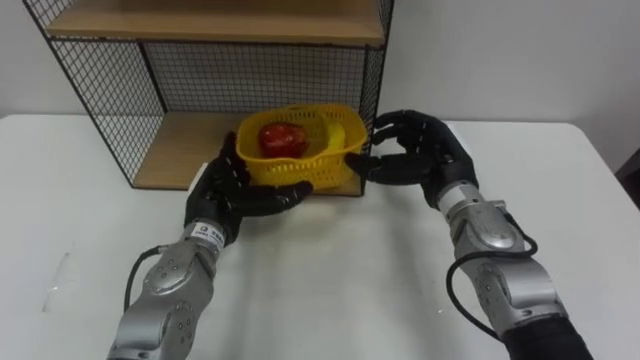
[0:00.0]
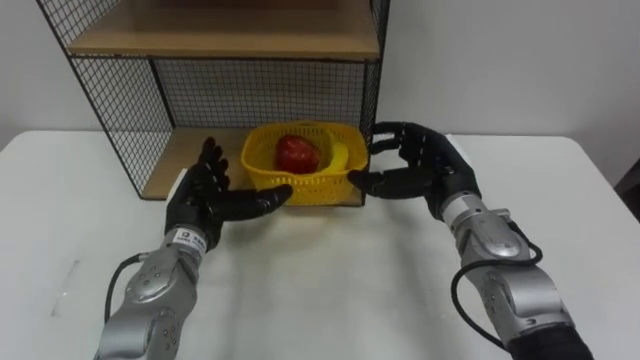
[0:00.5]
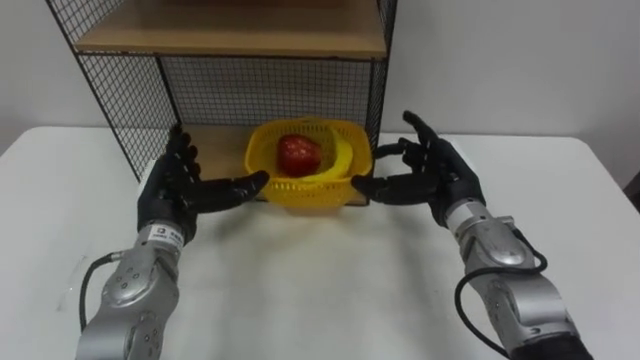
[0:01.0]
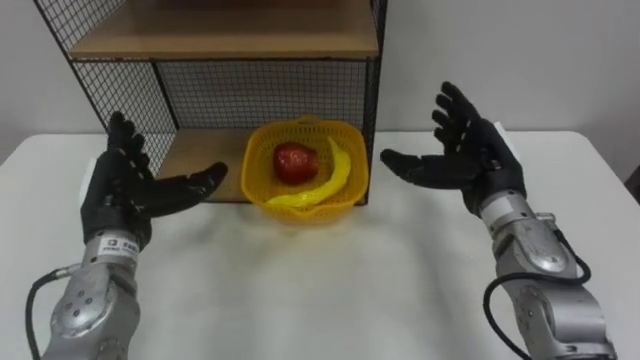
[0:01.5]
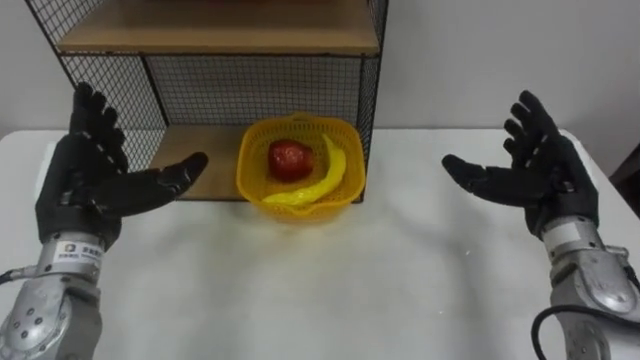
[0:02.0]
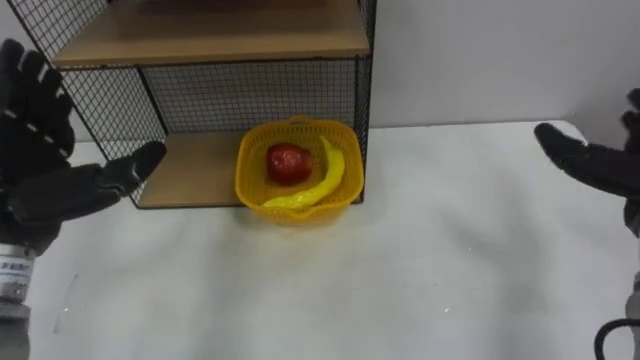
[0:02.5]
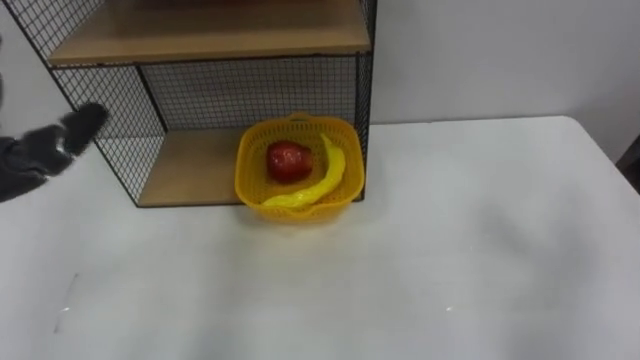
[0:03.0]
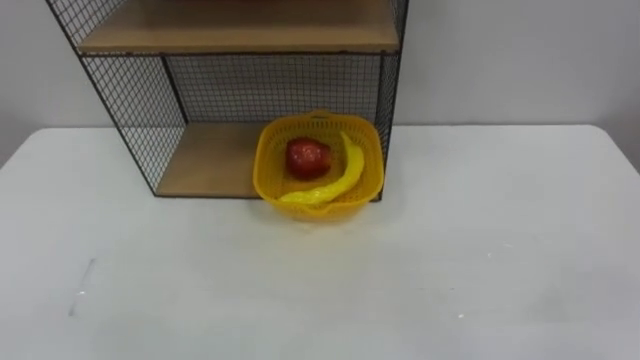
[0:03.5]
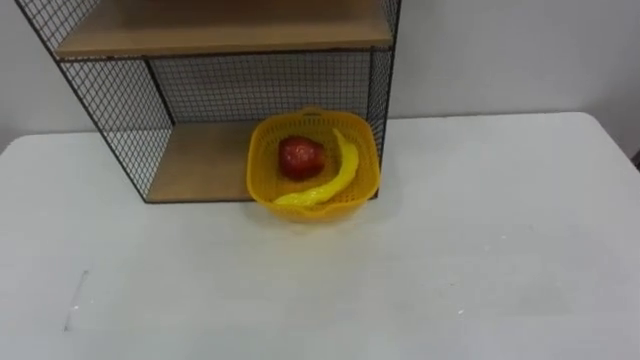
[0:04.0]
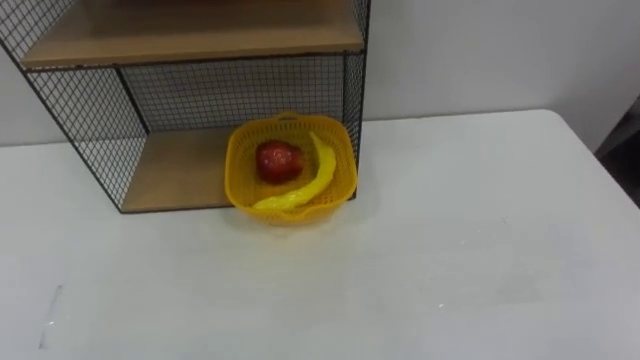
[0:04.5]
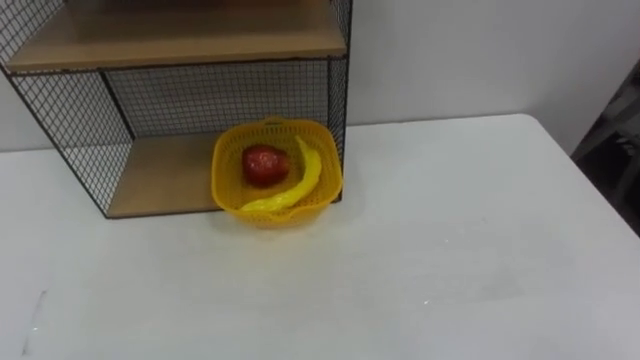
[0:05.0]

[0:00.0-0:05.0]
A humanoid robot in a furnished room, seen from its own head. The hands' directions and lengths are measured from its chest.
Task of the whole recording: Put the fruit on the table into the basket, then place the basket on the shelf.
0:00.0 to 0:02.5: The left hand heads to the left, upward and backward, covering some 20 cm.

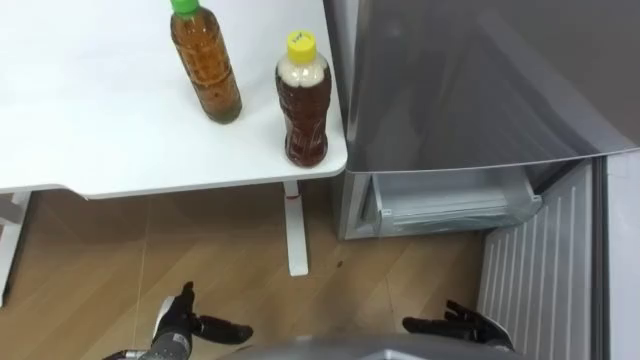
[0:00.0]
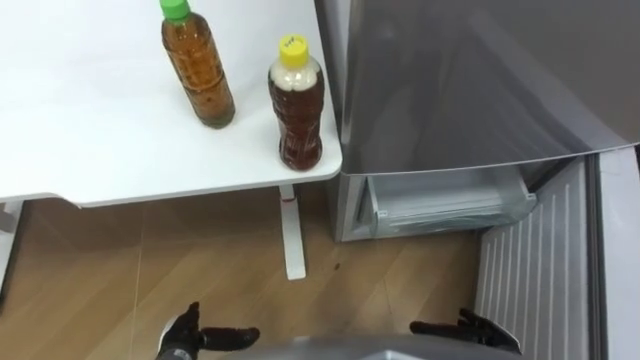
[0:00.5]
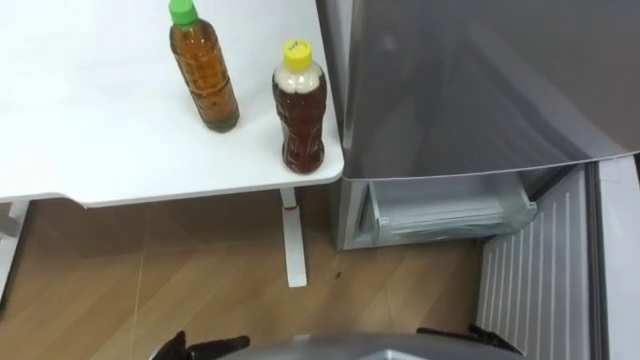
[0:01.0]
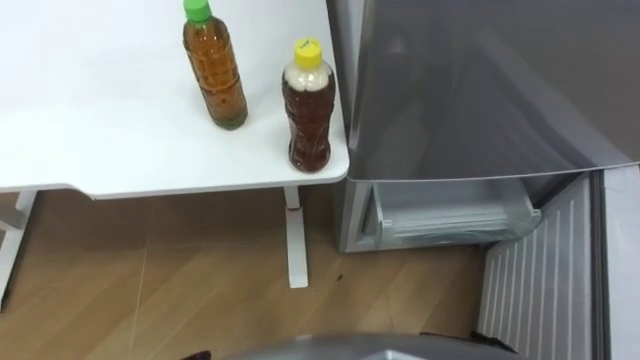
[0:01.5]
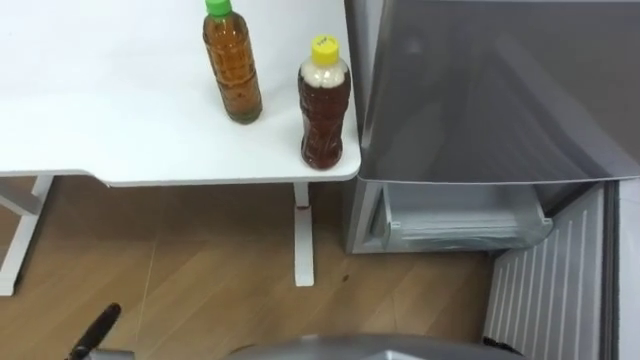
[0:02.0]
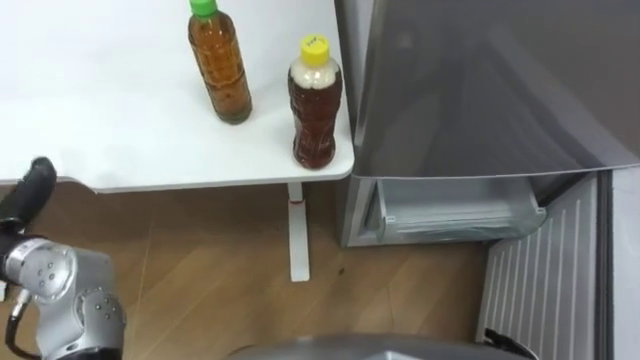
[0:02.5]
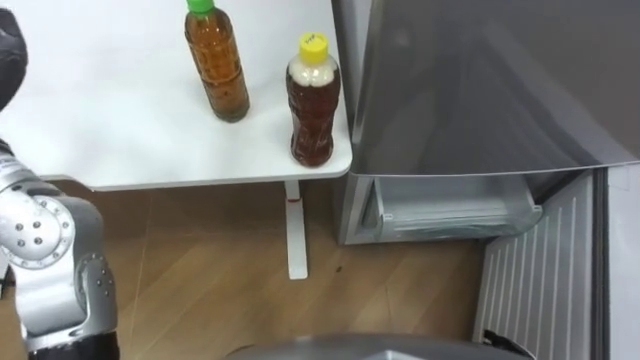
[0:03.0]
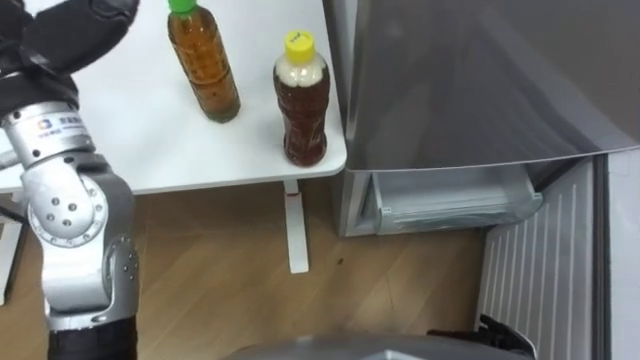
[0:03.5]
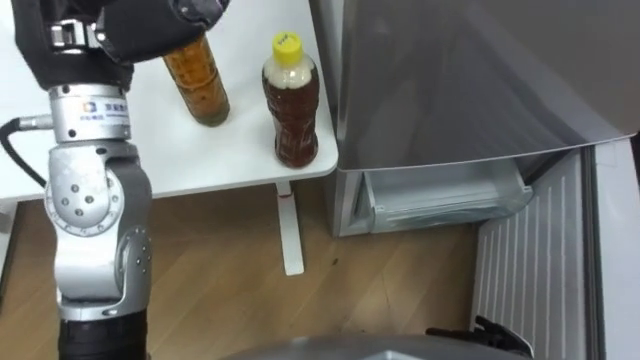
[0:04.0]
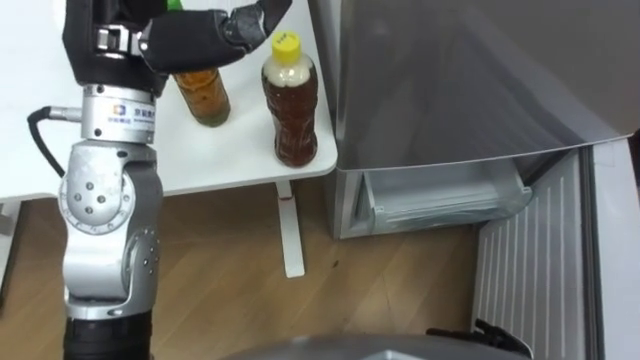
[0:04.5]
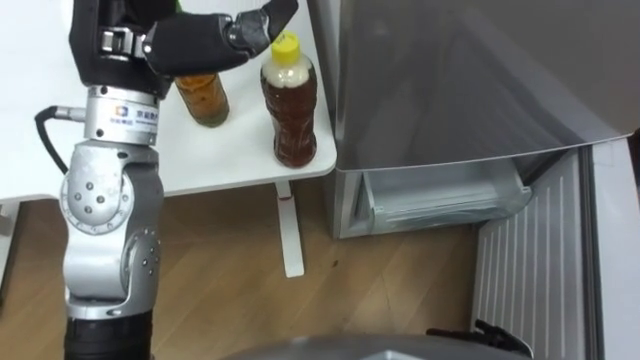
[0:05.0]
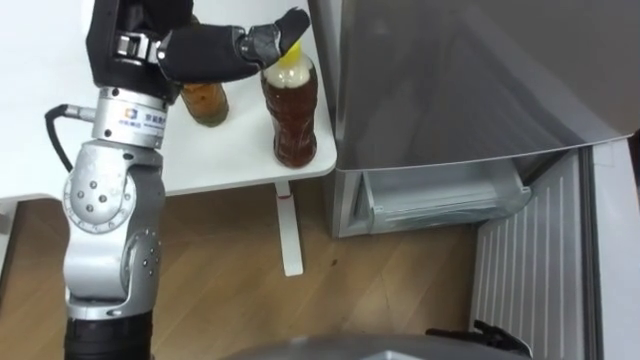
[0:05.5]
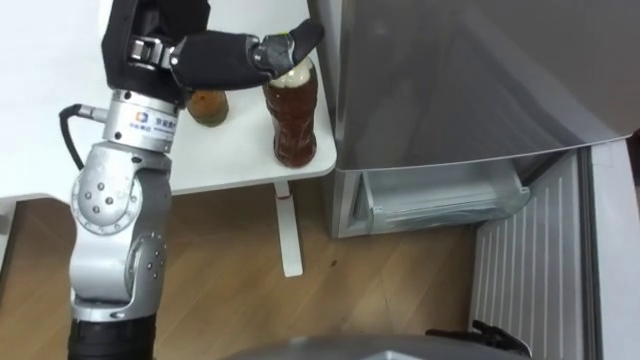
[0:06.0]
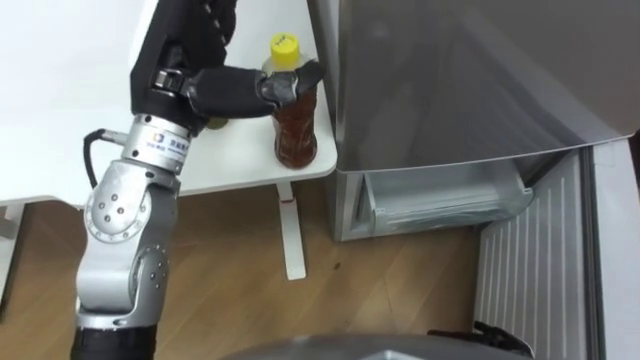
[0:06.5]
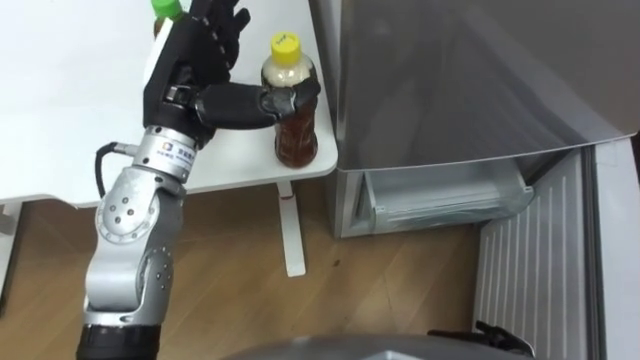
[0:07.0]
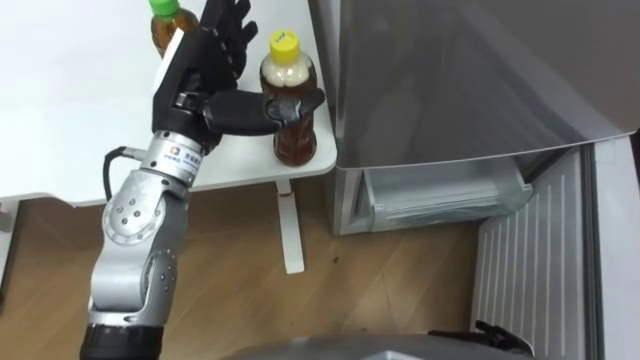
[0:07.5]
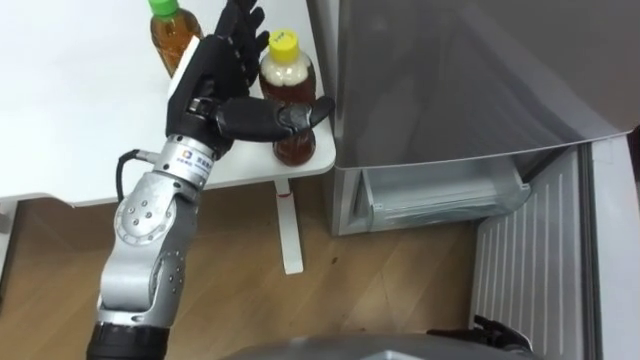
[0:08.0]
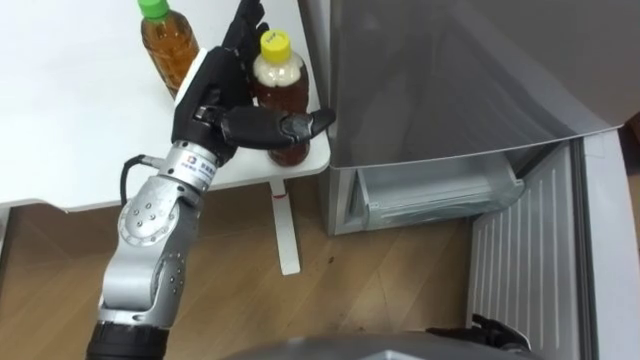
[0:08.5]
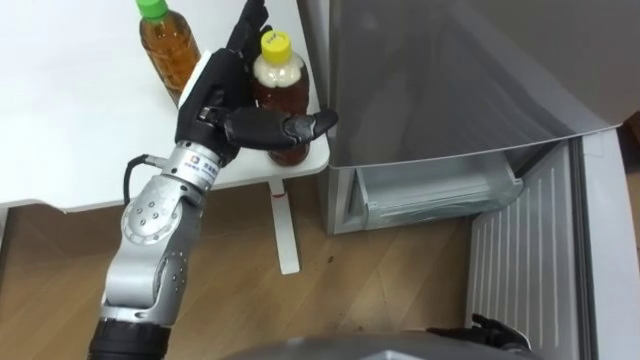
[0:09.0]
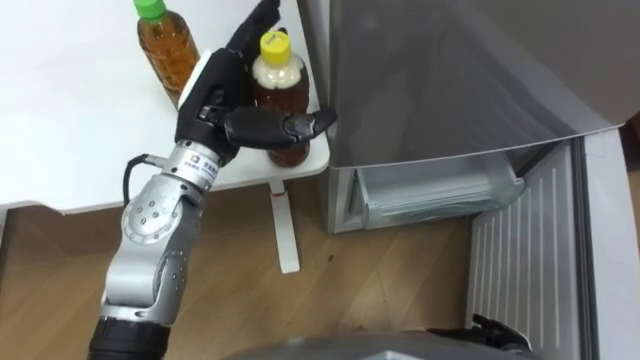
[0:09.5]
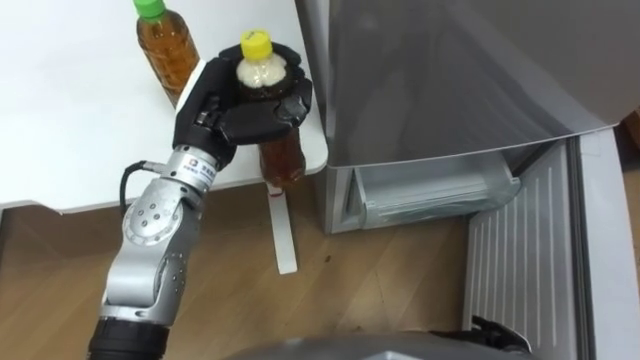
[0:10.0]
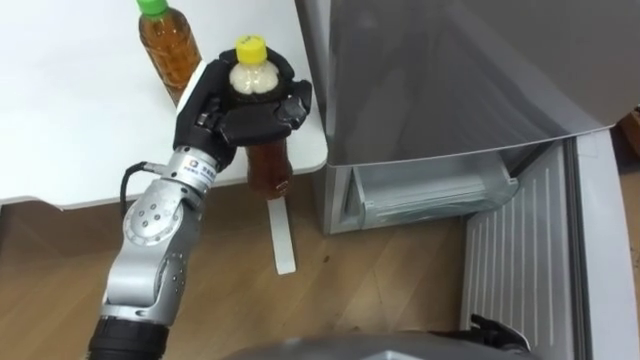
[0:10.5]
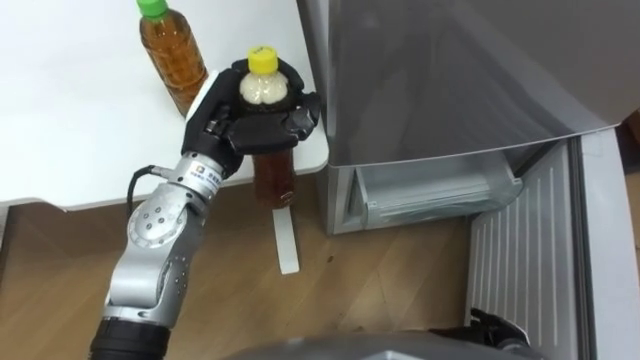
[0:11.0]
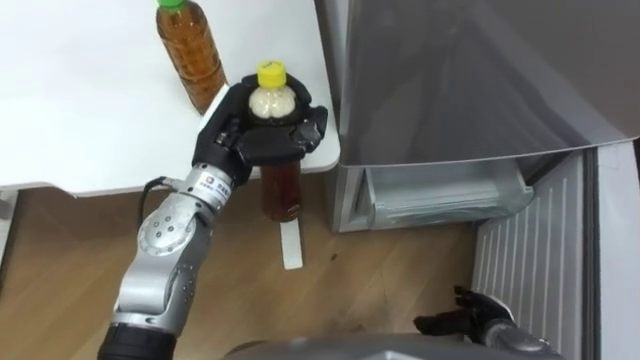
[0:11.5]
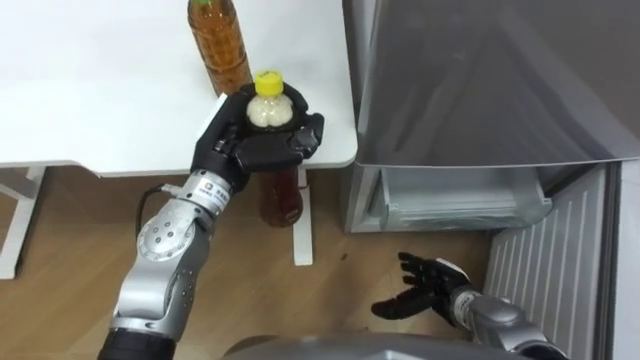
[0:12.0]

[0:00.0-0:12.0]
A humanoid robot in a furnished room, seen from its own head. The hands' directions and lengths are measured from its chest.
Task of the whole recording: Place the drink on the table on the bottom shelf of the refrigerator, then close the drawer and the refrigerator door.
0:04.0 to 0:06.0: The left hand shifts some 5 cm to the right.
0:06.0 to 0:08.0: The left hand moves downward, about 10 cm.
0:08.0 to 0:10.0: The left hand closes up.
0:10.0 to 0:12.0: The right hand moves forward and to the left, roughly 10 cm.

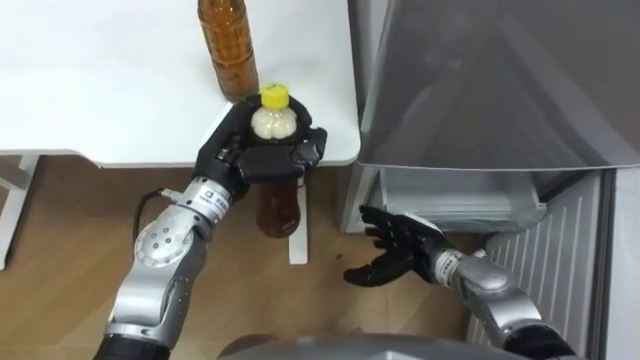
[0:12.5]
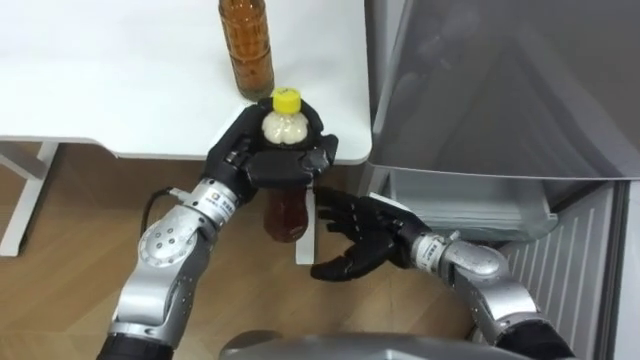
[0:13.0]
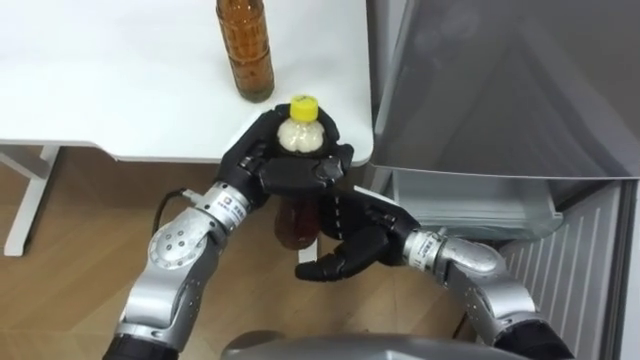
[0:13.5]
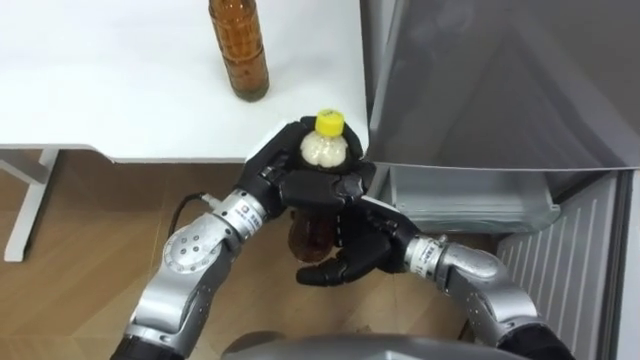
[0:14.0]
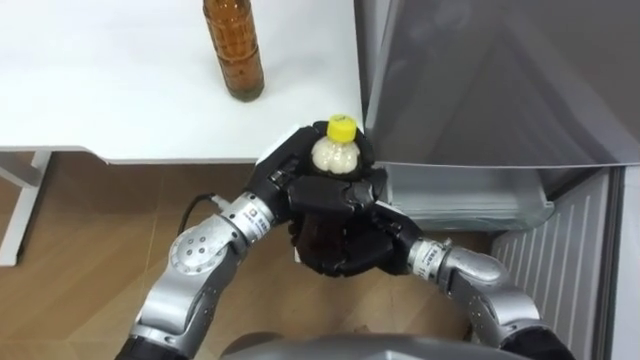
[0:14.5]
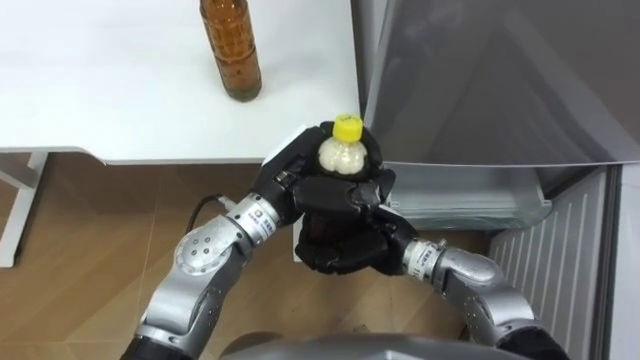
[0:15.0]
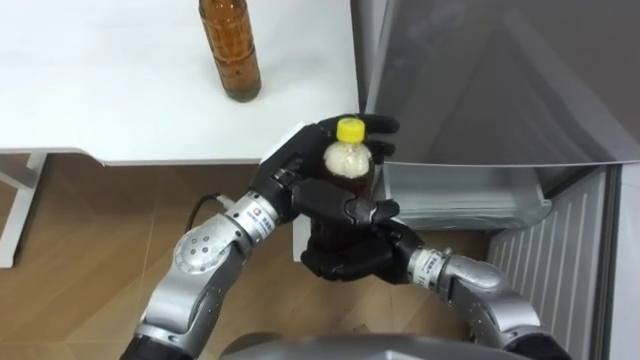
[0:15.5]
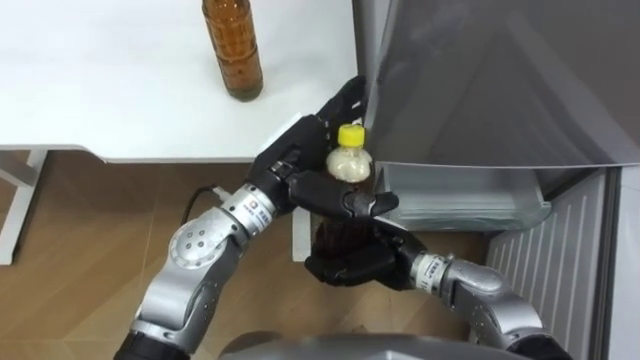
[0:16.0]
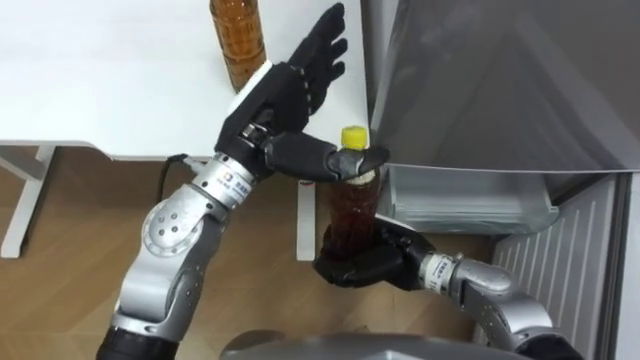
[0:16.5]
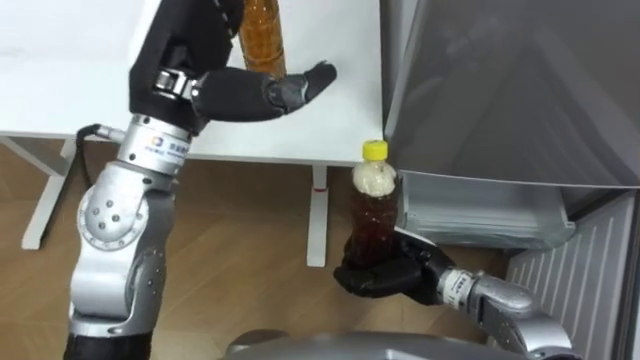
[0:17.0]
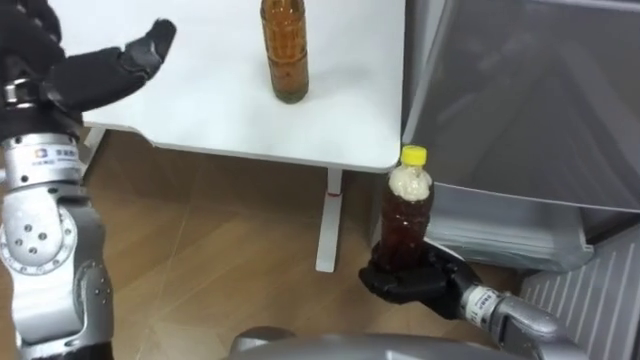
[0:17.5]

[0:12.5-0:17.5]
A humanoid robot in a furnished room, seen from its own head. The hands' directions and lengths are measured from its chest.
Task of the whole recording: Place the drink on the table on the bottom shelf of the refrigerator, then close the drawer and the refrigerator door.
0:12.5 to 0:15.0: The left hand shifts about 10 cm to the right, while the right hand travels to the left and upward by some 10 cm, and closes up.
0:15.0 to 0:17.5: The right hand is displaced to the right by approximately 10 cm; the left hand heads to the left and upward, covering roughly 25 cm, and opens.
